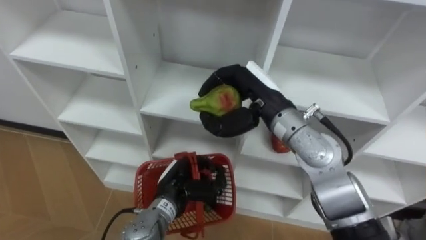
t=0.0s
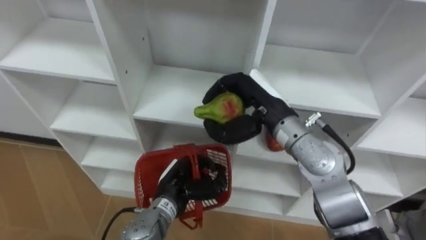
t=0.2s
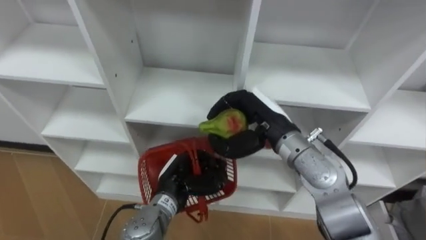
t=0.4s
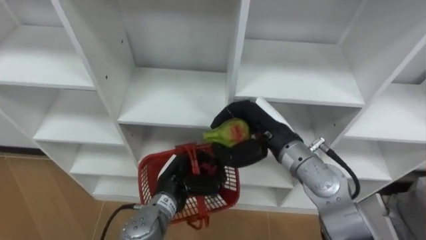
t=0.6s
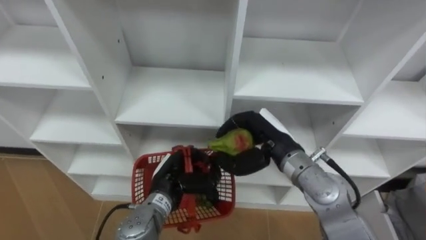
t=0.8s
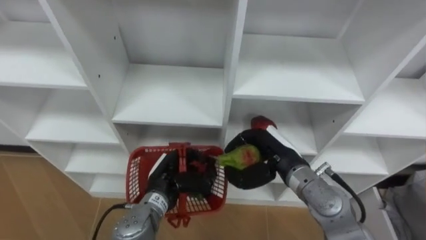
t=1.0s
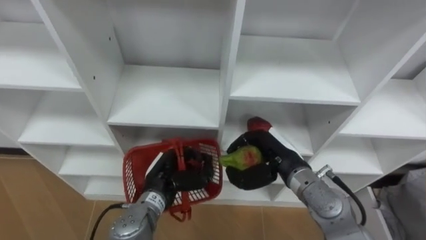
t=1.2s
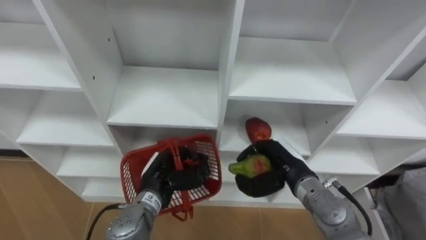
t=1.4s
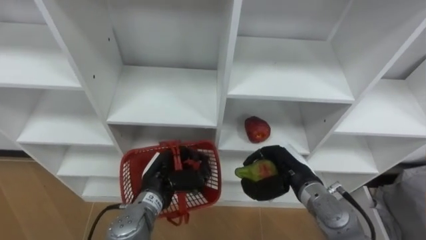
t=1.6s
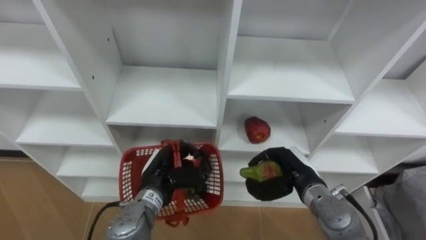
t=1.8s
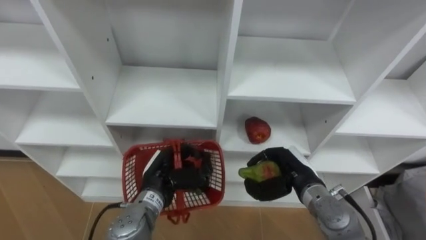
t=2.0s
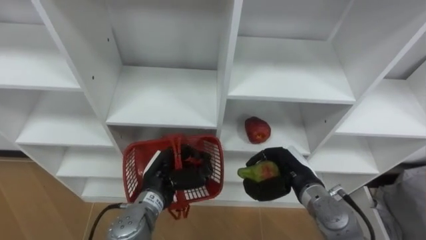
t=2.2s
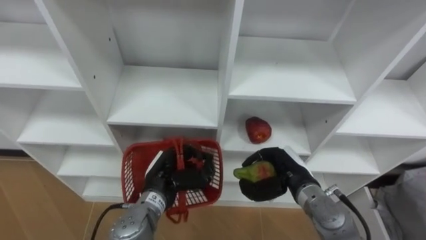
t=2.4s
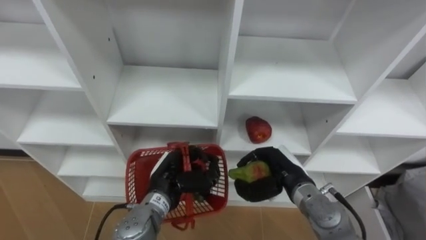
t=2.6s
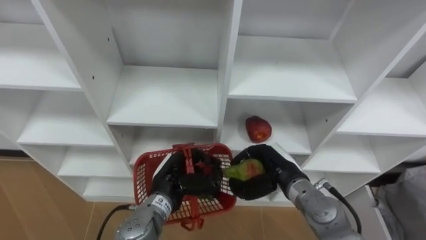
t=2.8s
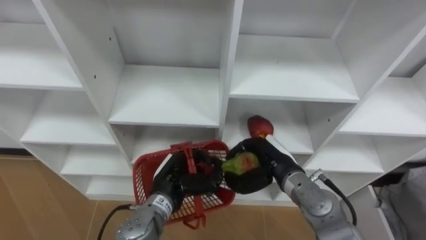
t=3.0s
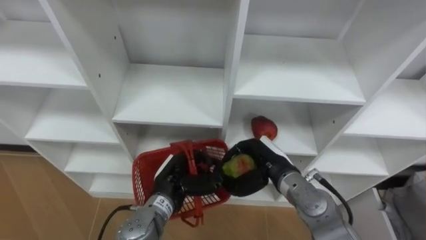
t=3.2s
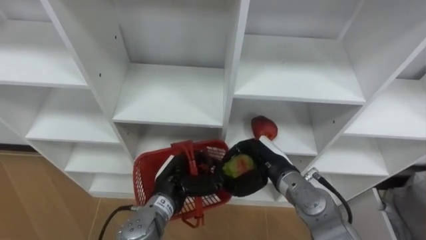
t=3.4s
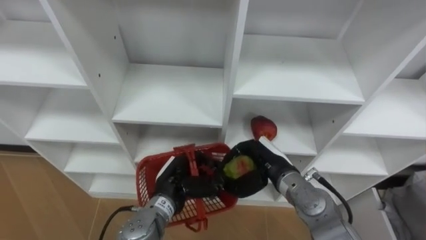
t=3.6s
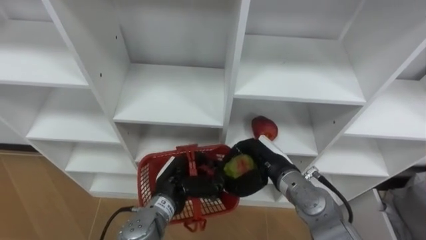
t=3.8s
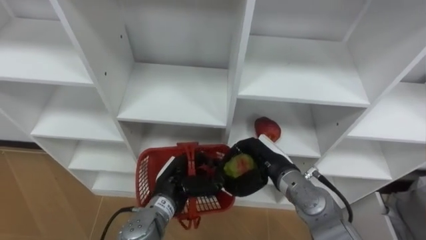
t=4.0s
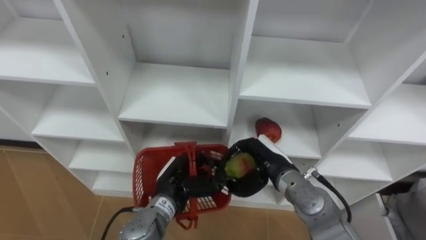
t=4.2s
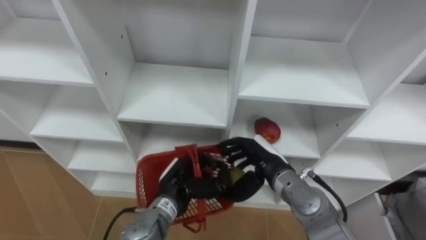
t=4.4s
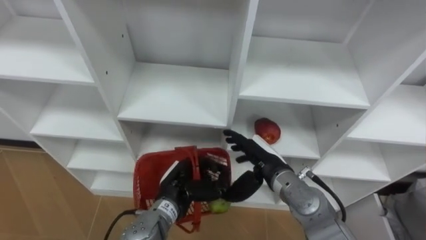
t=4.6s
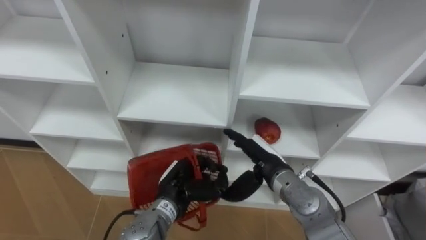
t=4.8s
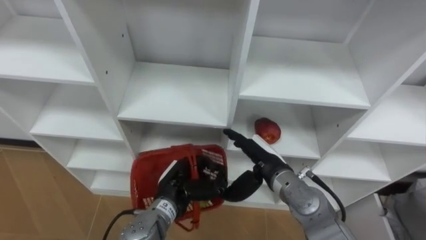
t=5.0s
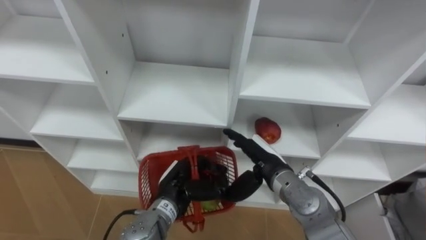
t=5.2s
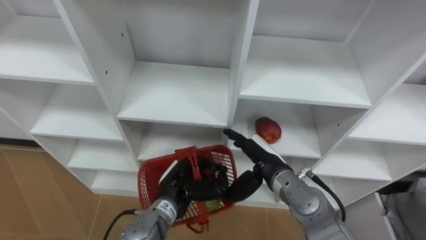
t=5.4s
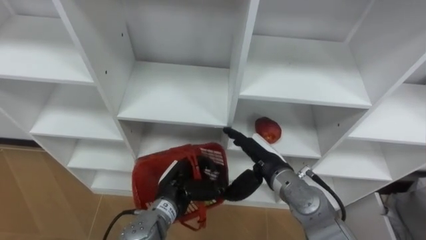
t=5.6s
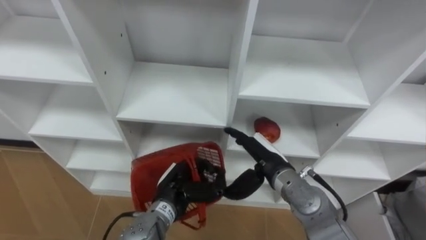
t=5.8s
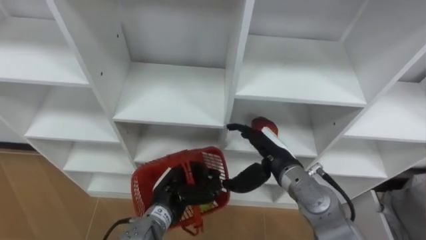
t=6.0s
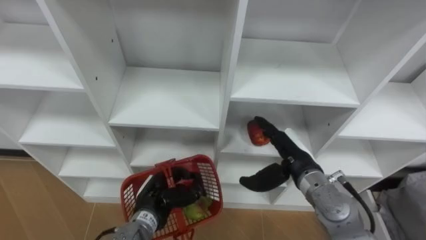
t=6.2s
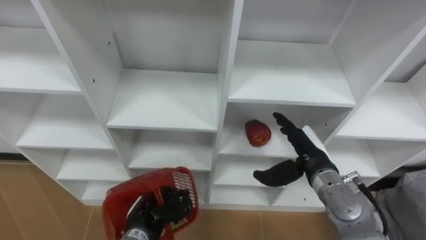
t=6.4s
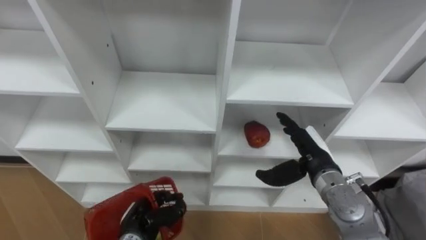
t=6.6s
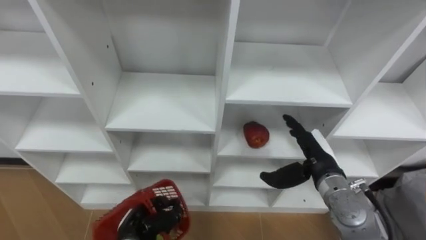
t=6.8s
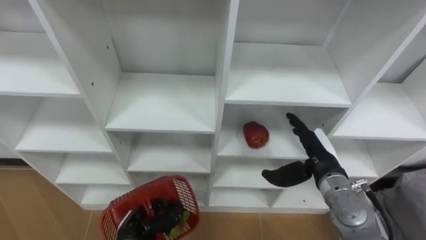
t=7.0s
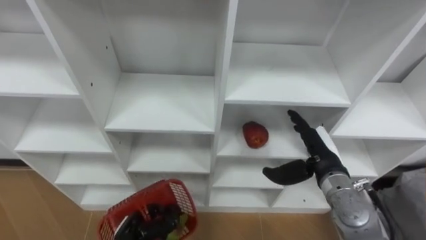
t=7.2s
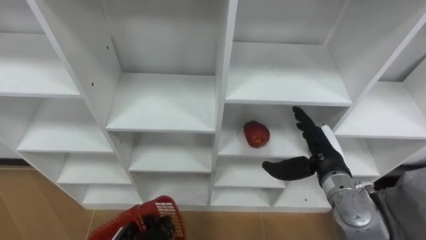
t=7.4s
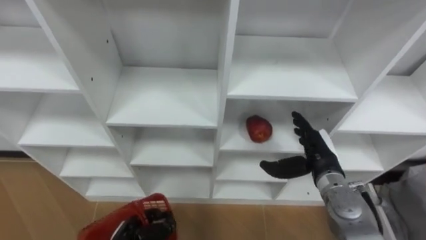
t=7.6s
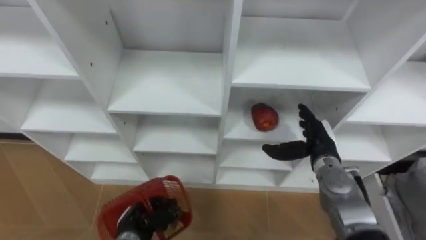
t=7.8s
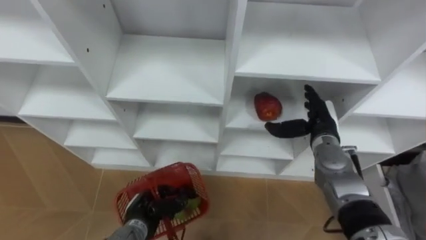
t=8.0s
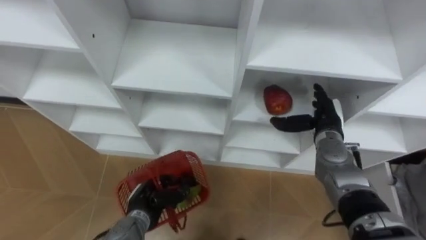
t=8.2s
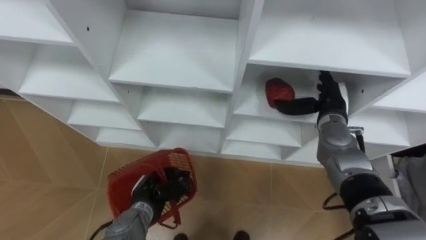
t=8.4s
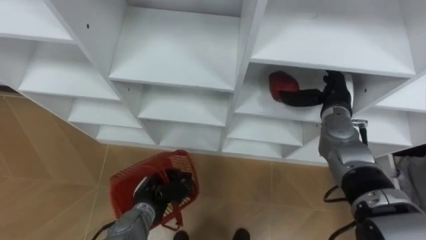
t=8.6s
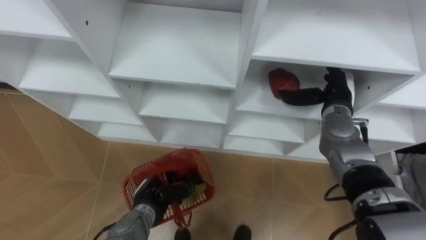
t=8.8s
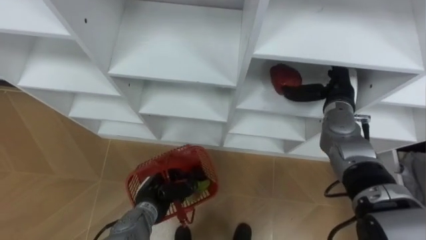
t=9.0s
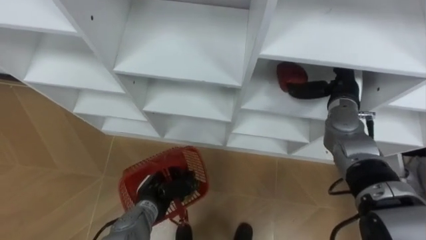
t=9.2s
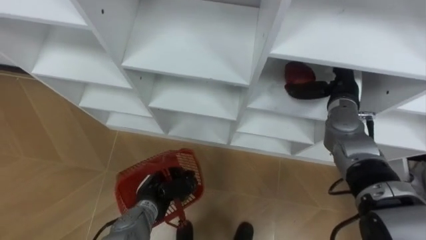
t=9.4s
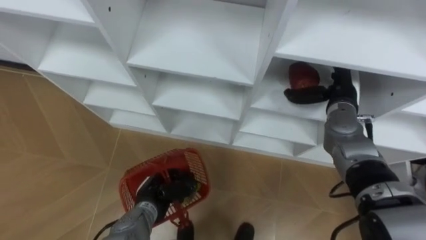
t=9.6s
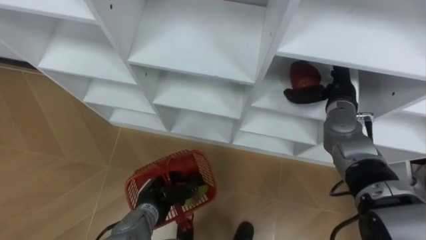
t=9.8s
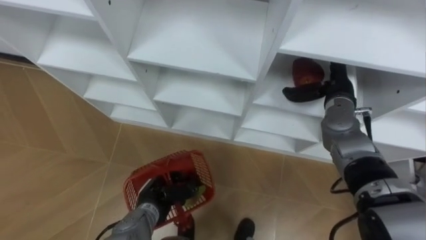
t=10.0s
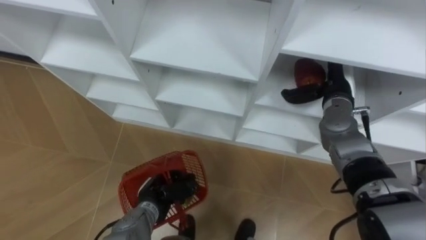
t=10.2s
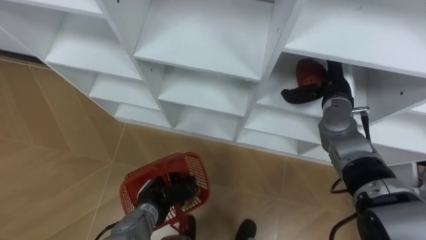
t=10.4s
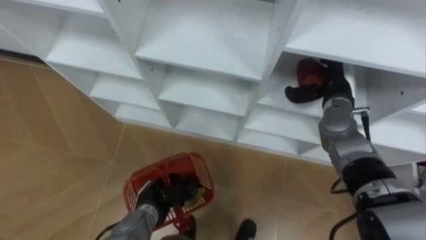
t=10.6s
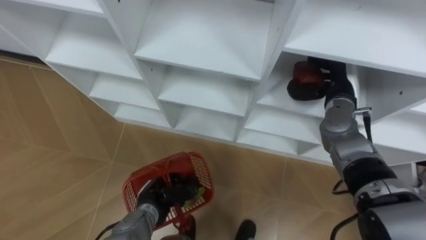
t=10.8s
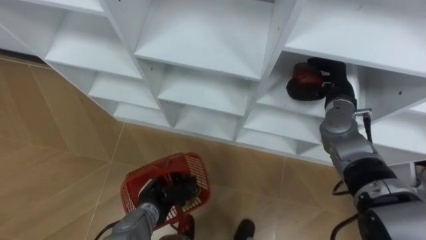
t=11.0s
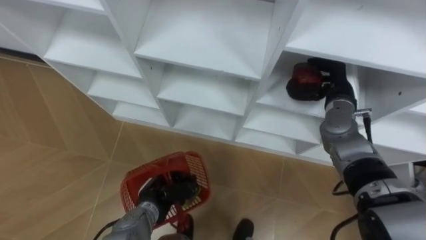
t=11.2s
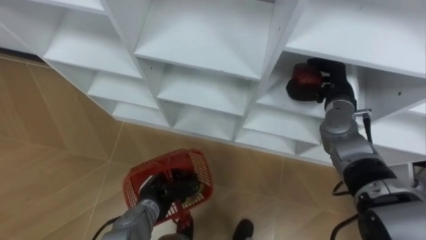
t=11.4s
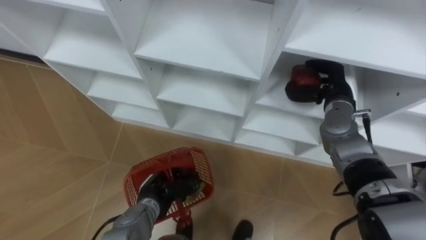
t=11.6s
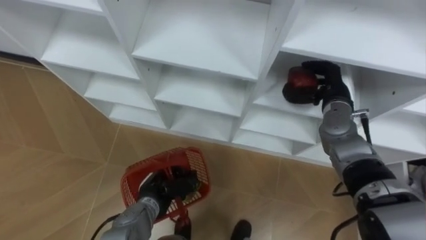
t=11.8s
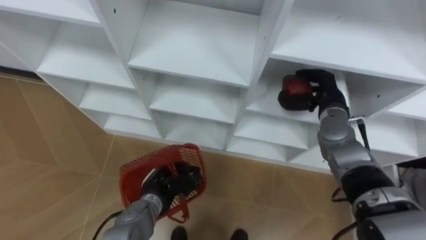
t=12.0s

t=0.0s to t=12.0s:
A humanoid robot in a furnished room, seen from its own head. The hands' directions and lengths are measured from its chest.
Task of the whole recording: Hold the basket and collect the fruits from 3 different cells of the closet into it.
t=0.0s to t=1.6s: The right hand travels downward, to the right and backward by some 20 cm.
t=1.6s to t=3.0s: There are only small adjustments of the hands.
t=3.0s to t=4.4s: The right hand opens.
t=6.0s to t=7.6s: The right hand travels to the right by roughly 10 cm.
t=7.6s to t=9.0s: The left hand moves forward, some 10 cm. Meanwhile the right hand travels forward and upward by approximately 15 cm.
t=10.4s to t=12.0s: The right hand closes its fingers.

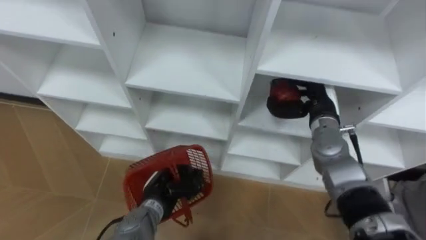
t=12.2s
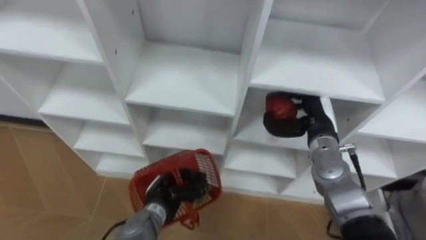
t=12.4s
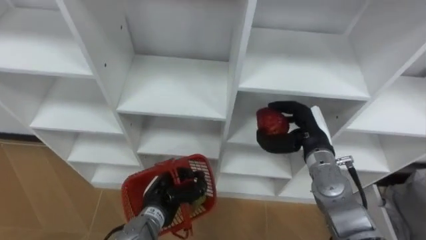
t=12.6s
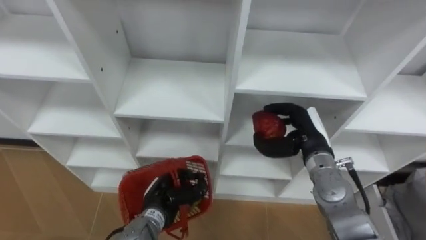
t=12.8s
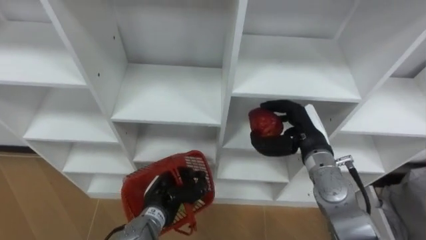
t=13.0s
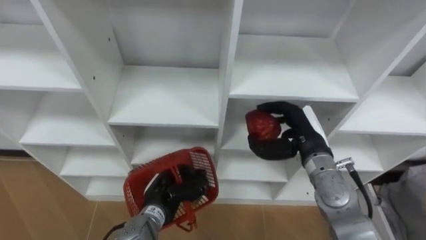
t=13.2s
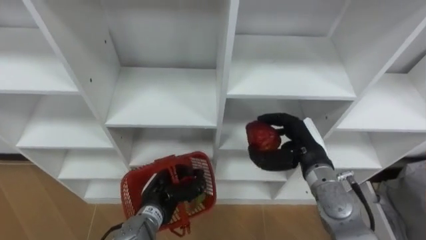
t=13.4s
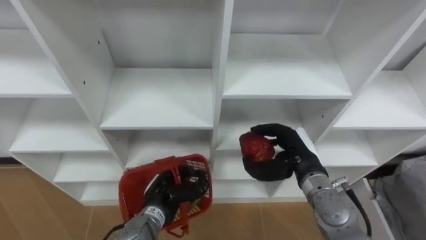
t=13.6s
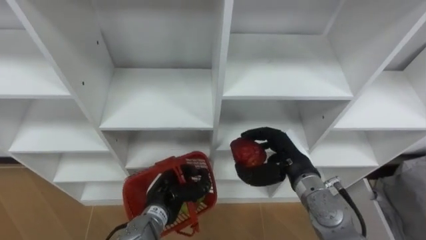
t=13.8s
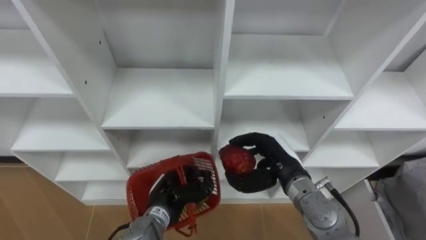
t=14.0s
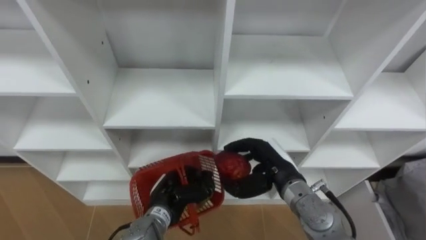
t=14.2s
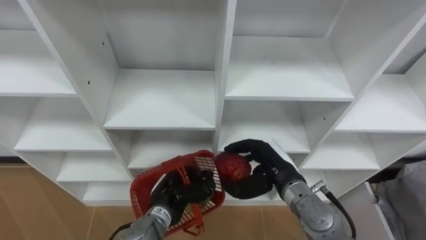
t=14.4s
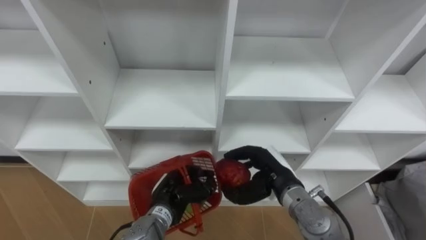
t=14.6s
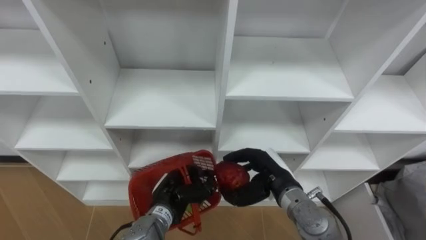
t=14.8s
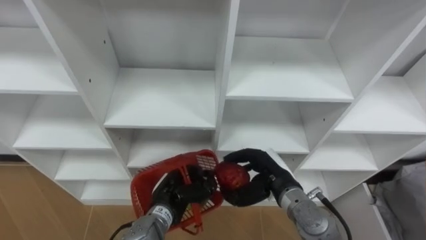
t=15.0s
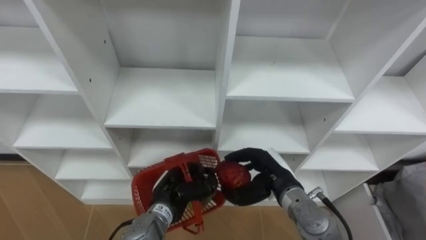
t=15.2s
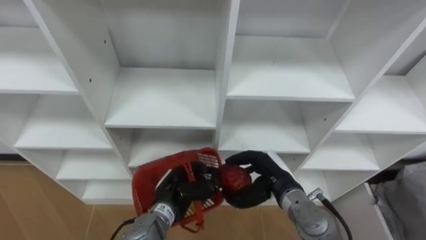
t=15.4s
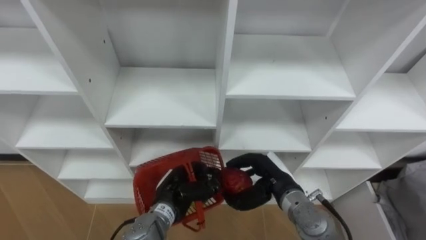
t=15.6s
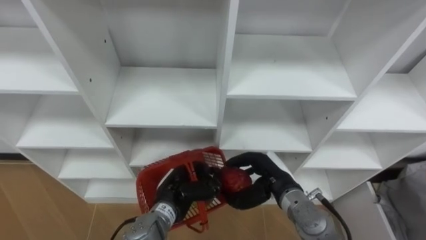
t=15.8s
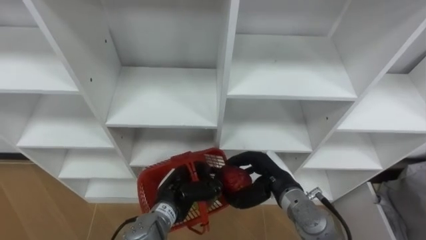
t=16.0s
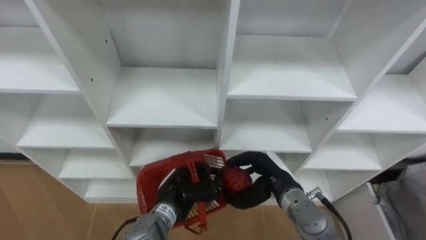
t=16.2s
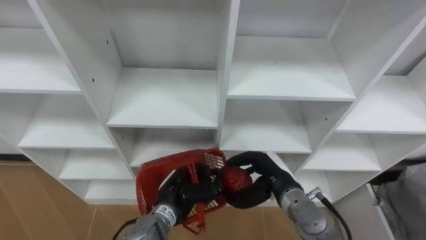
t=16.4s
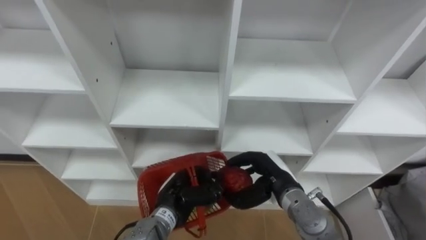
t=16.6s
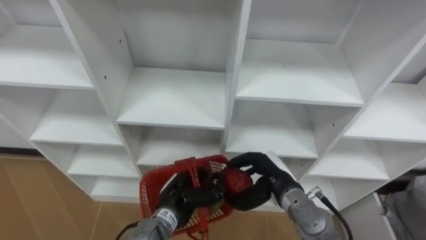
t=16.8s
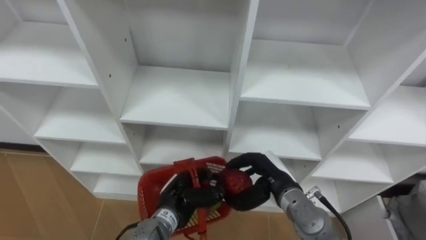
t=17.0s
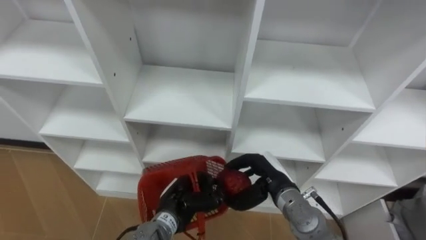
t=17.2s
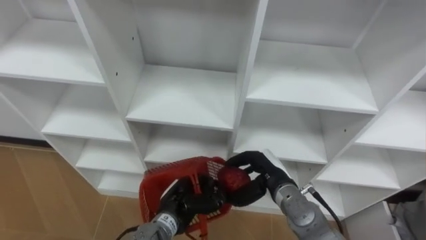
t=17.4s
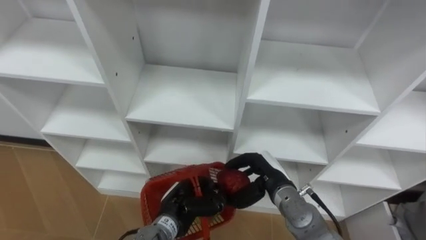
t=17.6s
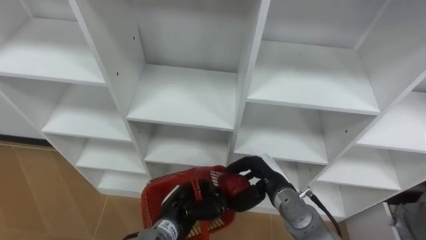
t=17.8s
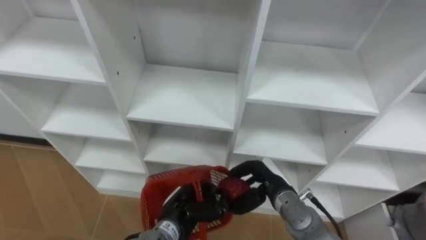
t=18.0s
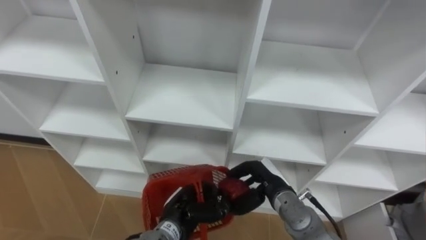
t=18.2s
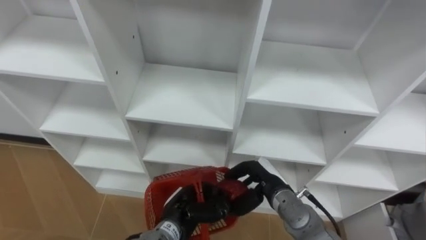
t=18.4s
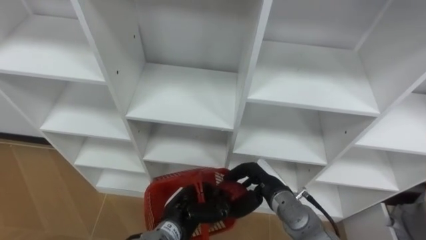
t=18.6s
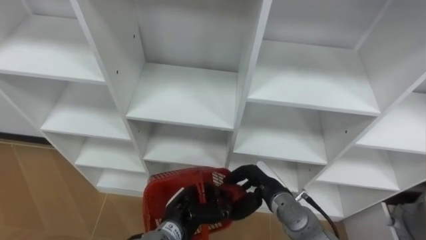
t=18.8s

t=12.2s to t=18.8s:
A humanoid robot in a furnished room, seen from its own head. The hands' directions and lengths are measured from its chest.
Task of the whole recording: Hold the basket and collect the fruits from 3 different cells of the closet into it.
t=12.2s to t=13.8s: The right hand goes approximately 10 cm backward and to the left.
t=13.8s to t=15.4s: The right hand changes place by about 5 cm.
